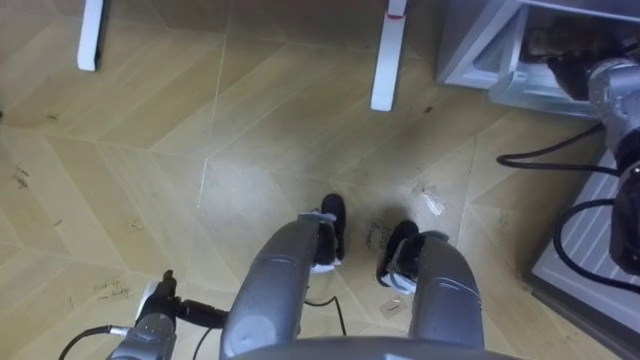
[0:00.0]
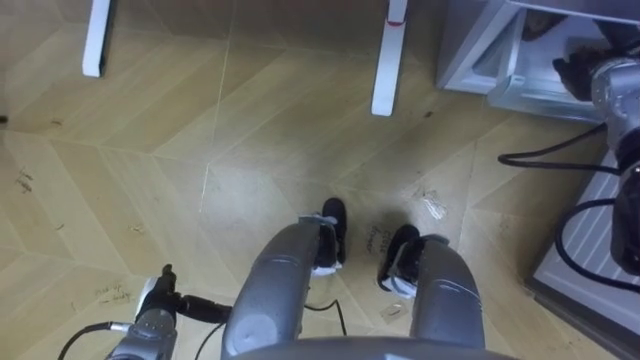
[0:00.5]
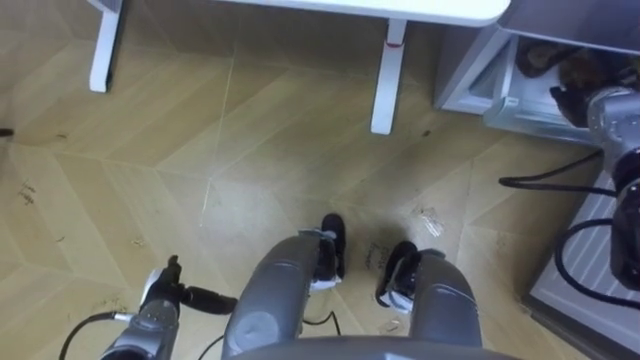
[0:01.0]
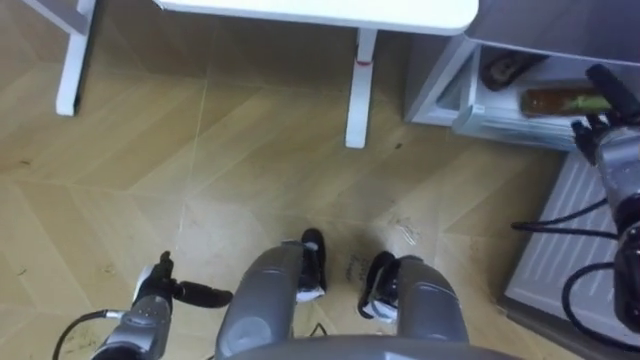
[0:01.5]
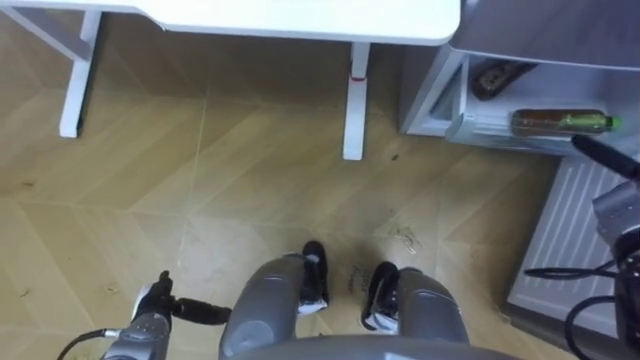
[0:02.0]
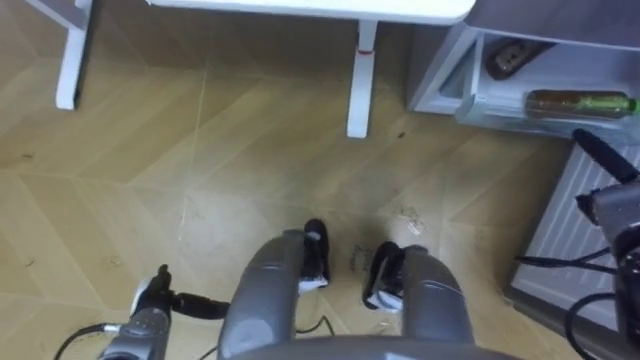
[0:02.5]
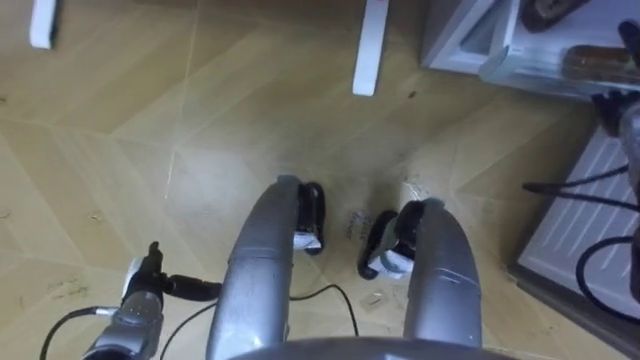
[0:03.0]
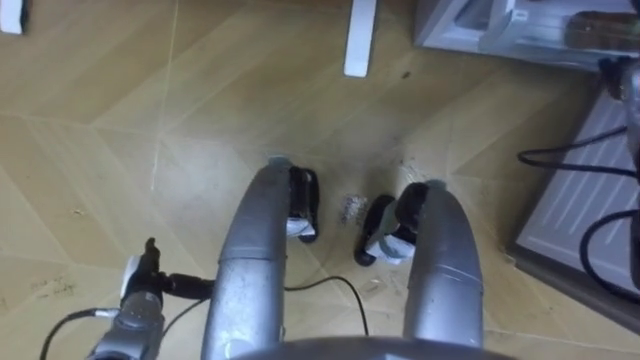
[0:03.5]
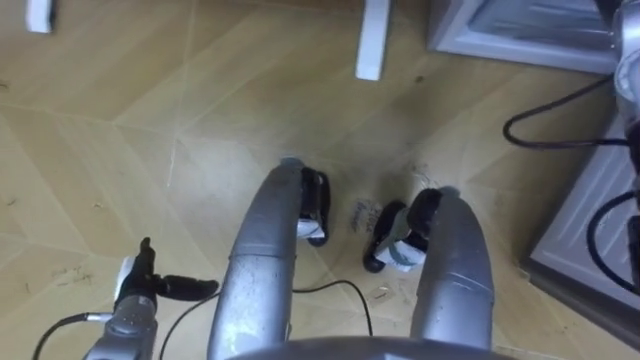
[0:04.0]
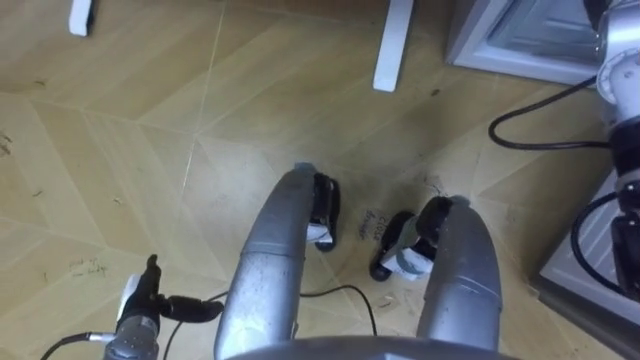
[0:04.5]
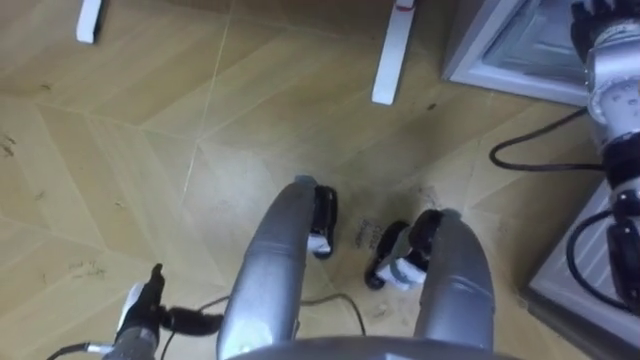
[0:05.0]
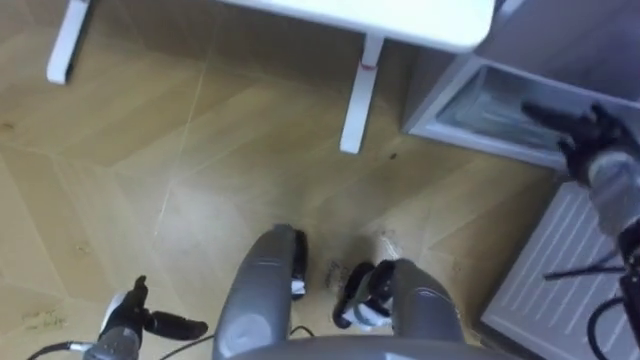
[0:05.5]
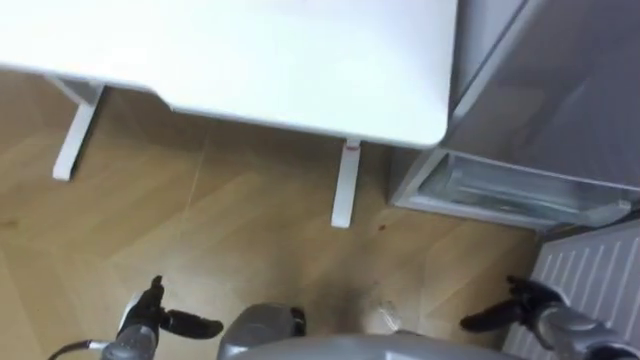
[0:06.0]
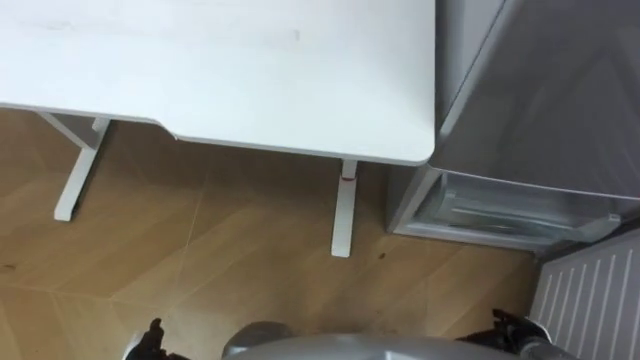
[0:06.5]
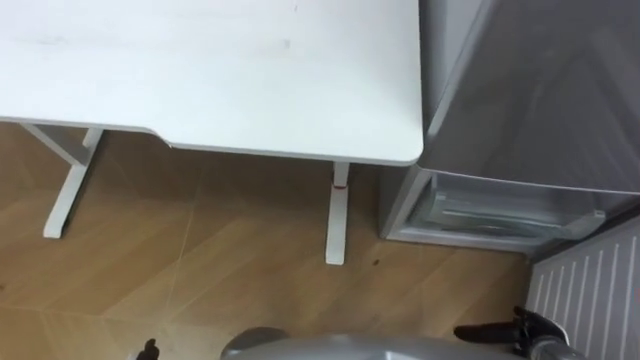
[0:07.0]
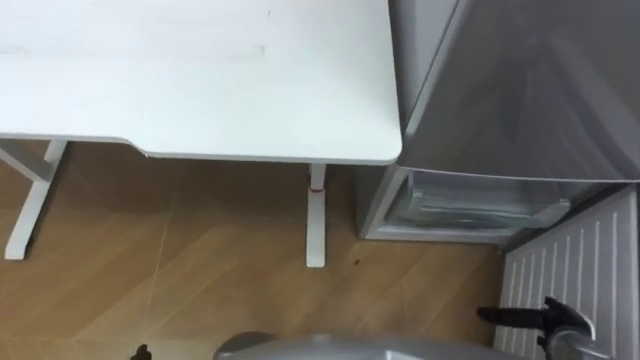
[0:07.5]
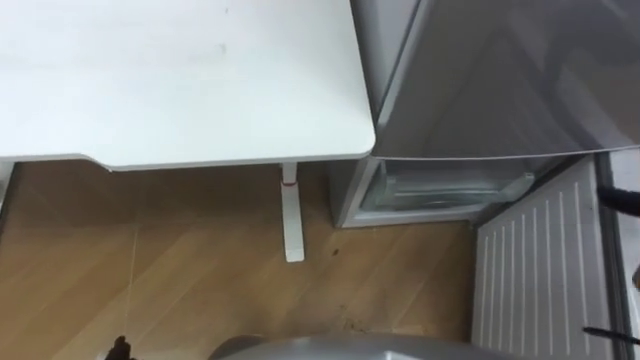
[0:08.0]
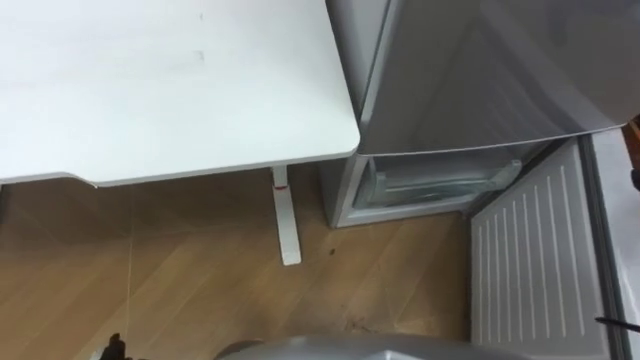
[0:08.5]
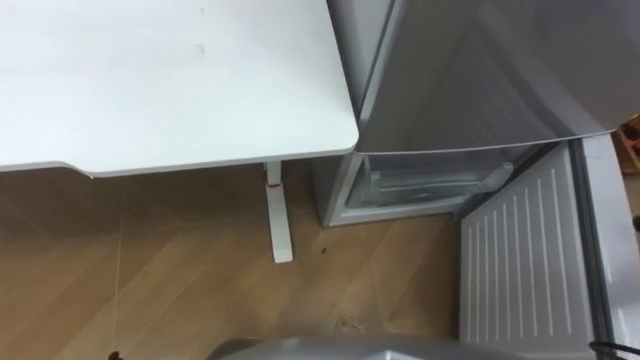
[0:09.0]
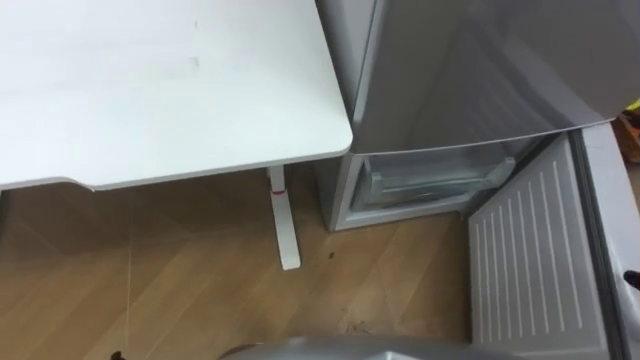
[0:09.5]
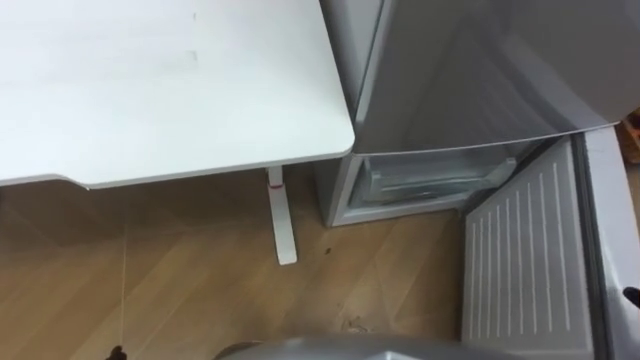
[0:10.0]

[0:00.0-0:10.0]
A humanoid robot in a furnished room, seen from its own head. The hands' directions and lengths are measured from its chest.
Task of the whole recording: Place the drink on the table on the bottom shelf of the refrigerator, then close the drawer and the refrigerator door.
0:00.0 to 0:02.0: The right hand travels backward, downward and to the right by some 20 cm.

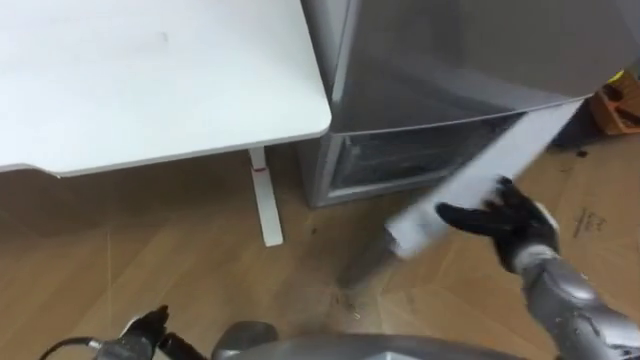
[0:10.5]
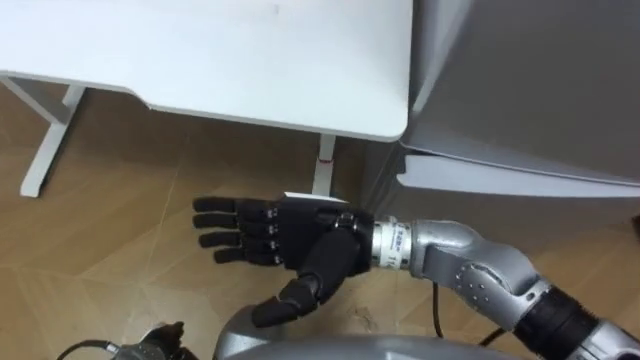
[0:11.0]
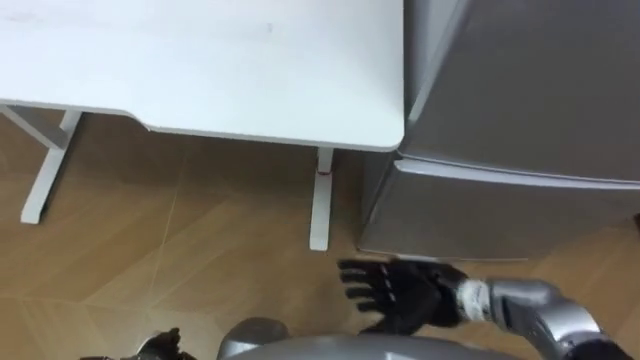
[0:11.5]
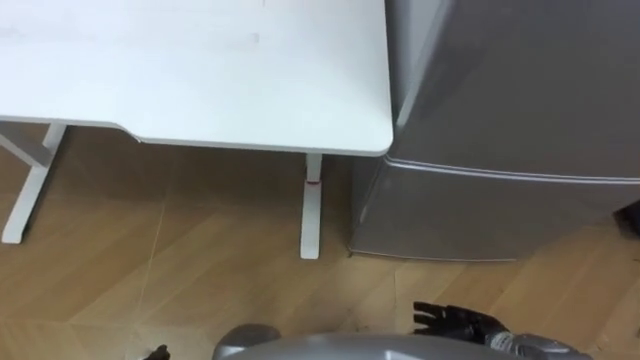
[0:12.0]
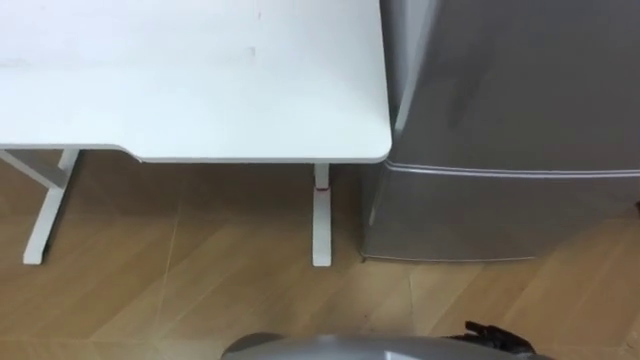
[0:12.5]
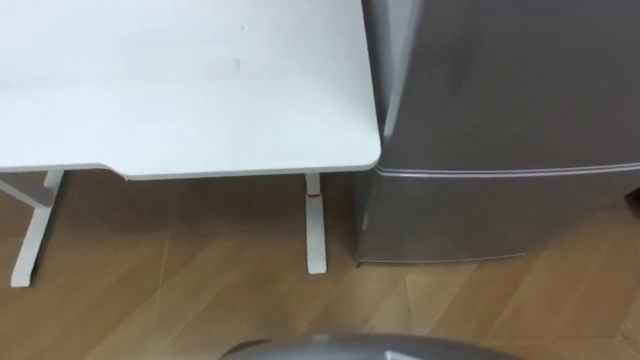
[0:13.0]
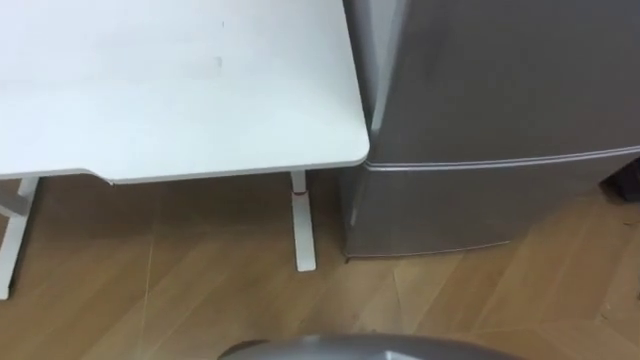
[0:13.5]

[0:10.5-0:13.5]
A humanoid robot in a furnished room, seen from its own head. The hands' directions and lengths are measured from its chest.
Task of the whole recording: Place the drink on the table on the bottom shelf of the refrigerator, then close the drawer and the refrigerator door.
0:10.5 to 0:12.0: The right hand shifts roughly 15 cm backward and downward, and travels to the left and back again, approximately 25 cm each way.

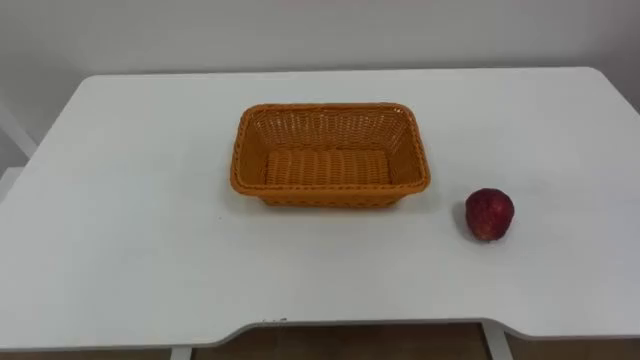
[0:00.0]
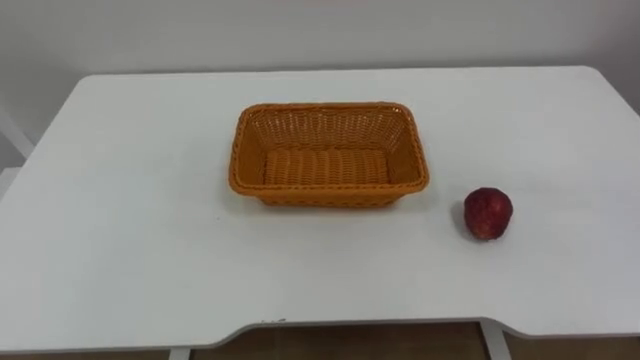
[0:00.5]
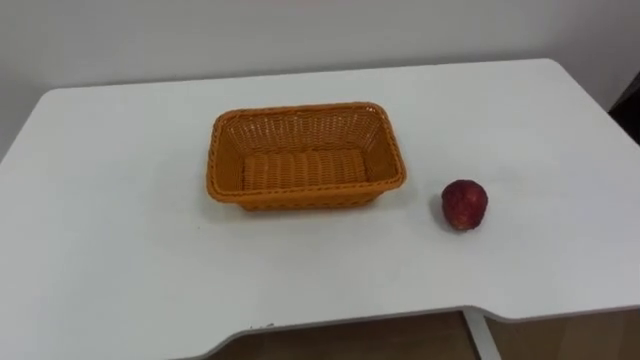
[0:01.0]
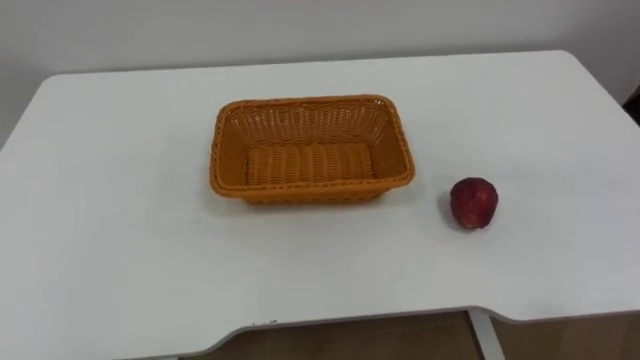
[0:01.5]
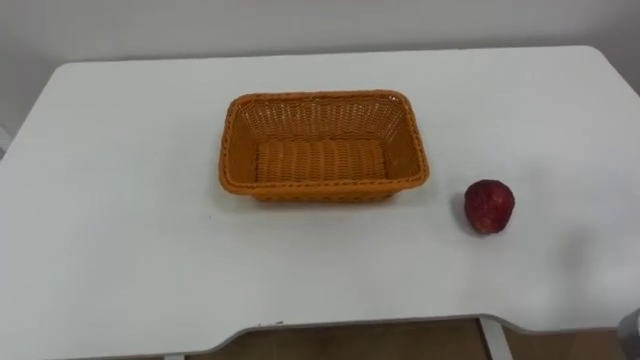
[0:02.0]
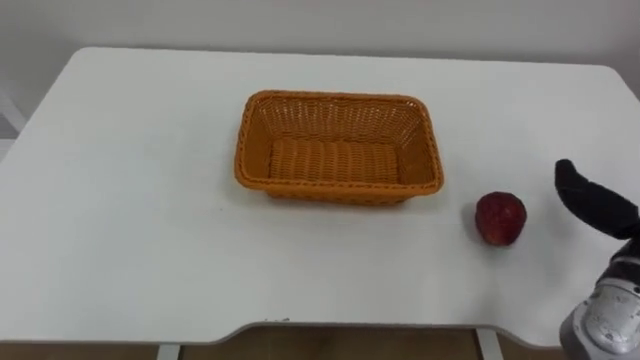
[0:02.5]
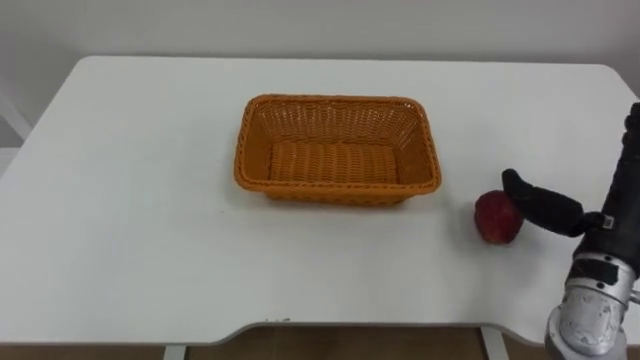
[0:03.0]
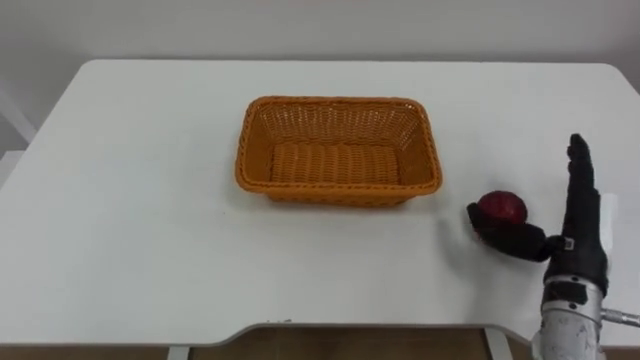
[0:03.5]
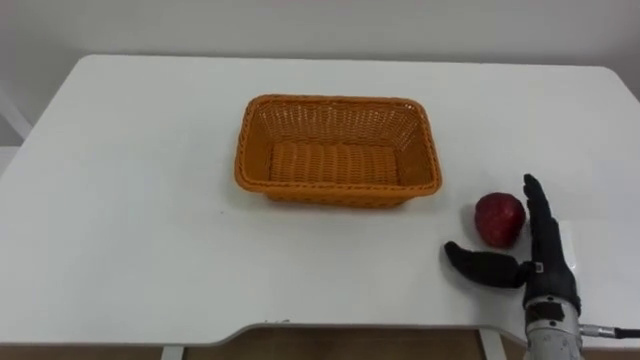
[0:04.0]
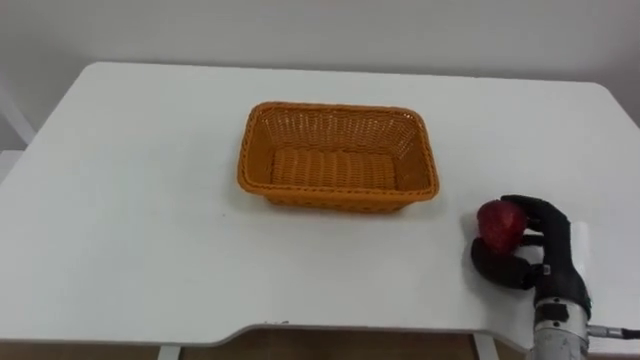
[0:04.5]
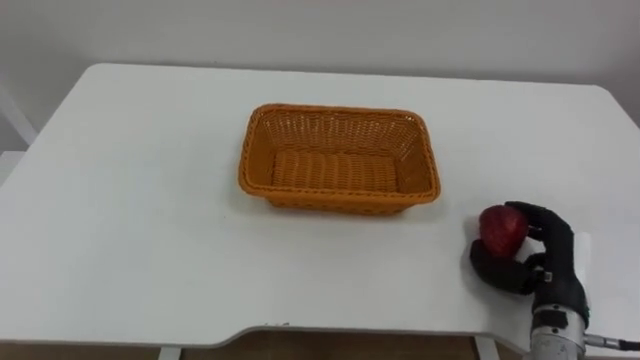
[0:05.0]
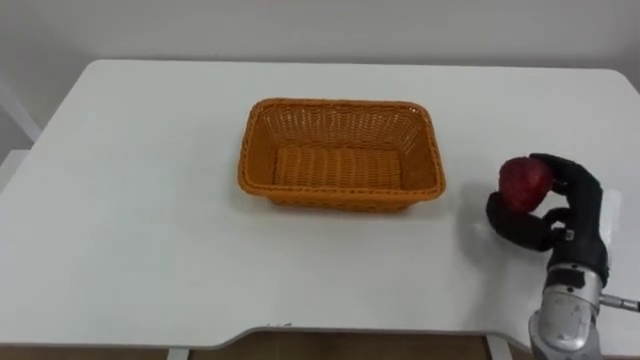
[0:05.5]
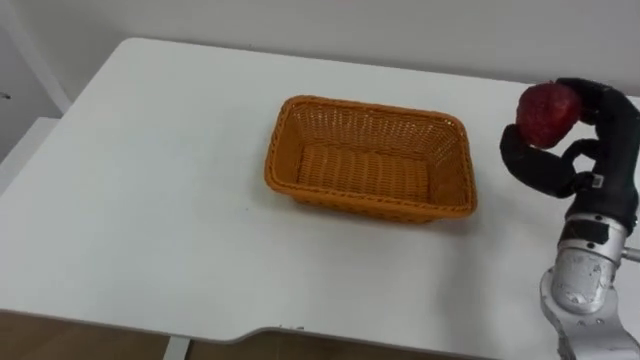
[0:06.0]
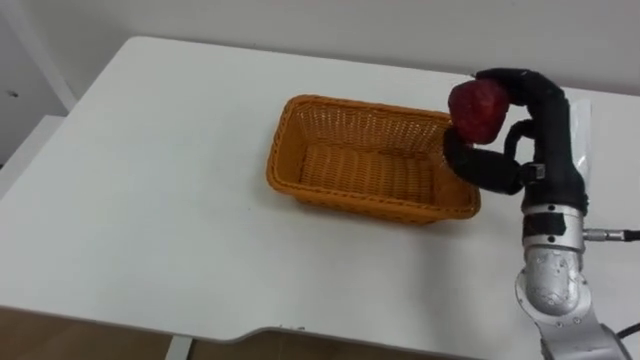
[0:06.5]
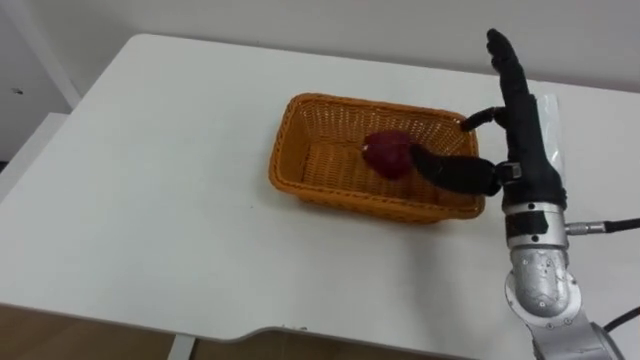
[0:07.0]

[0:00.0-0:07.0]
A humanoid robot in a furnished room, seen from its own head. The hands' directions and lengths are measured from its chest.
Task of the whole recording: Pick the apple and place it in the box.
0:03.5 to 0:05.0: The right hand goes roughly 5 cm downward, and closes its fingers.
0:05.0 to 0:07.0: The right hand goes roughly 20 cm upward, to the left and forward, and opens up.
